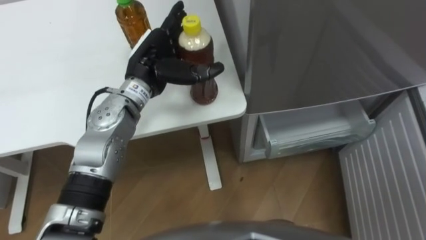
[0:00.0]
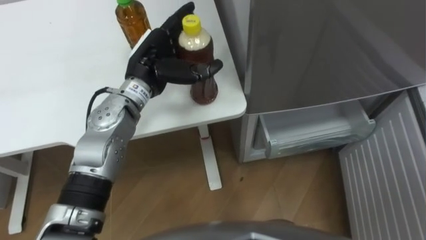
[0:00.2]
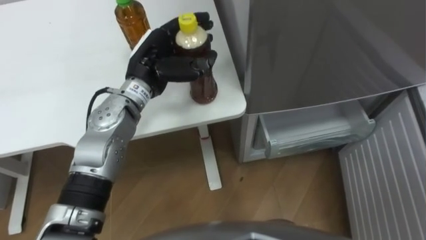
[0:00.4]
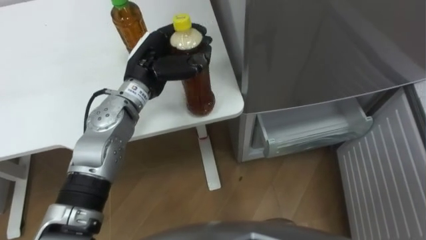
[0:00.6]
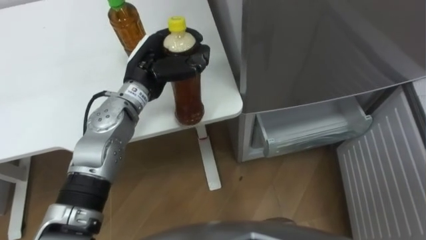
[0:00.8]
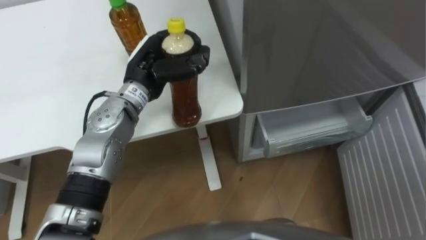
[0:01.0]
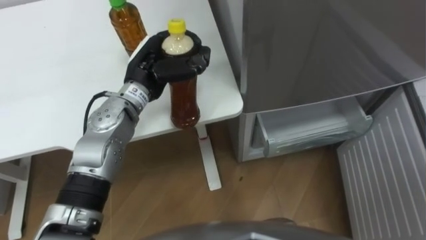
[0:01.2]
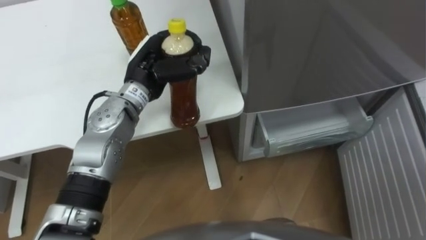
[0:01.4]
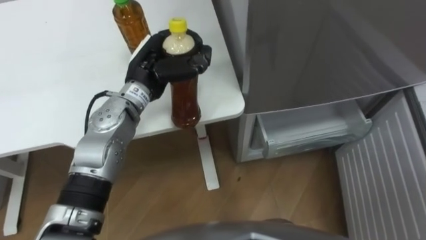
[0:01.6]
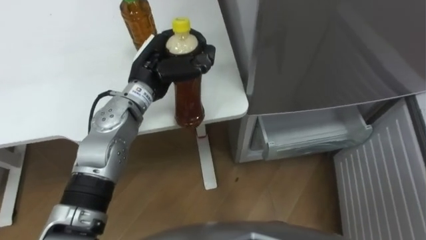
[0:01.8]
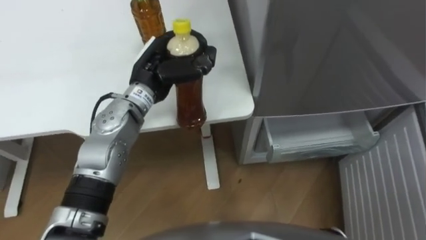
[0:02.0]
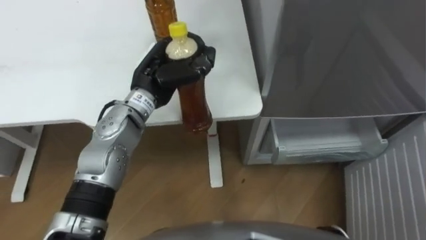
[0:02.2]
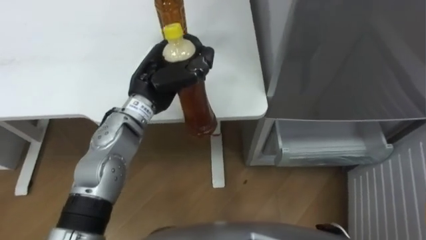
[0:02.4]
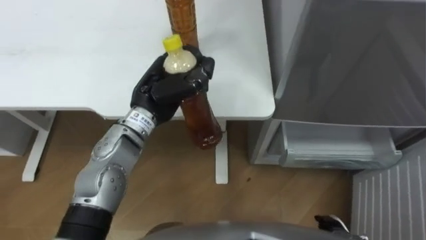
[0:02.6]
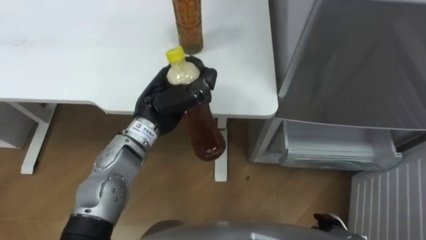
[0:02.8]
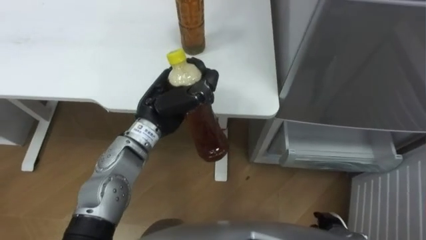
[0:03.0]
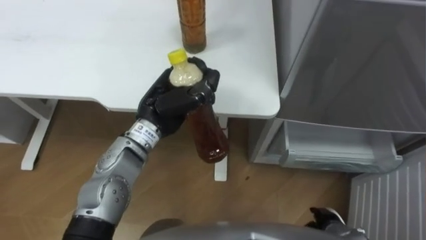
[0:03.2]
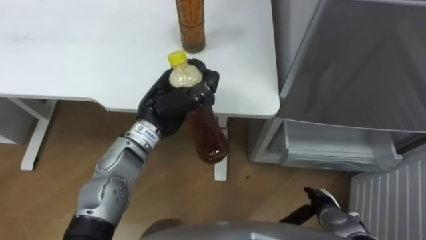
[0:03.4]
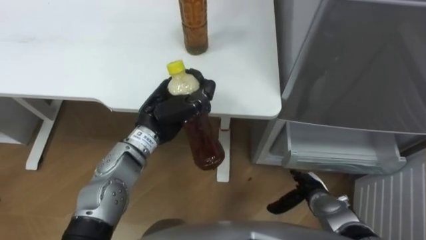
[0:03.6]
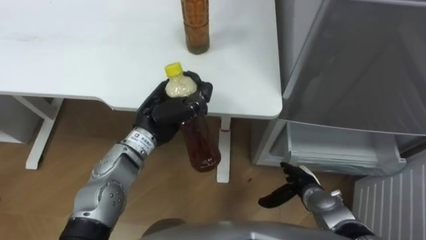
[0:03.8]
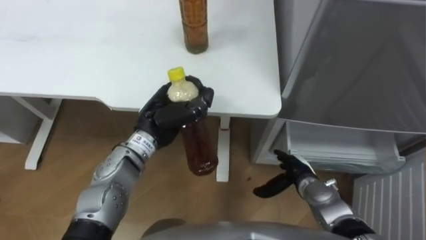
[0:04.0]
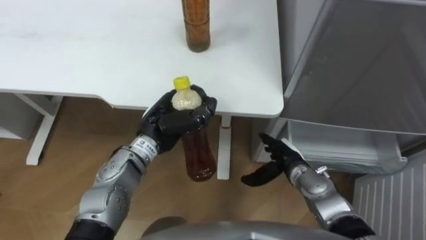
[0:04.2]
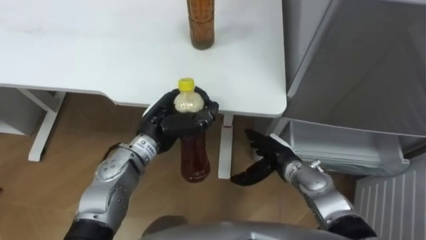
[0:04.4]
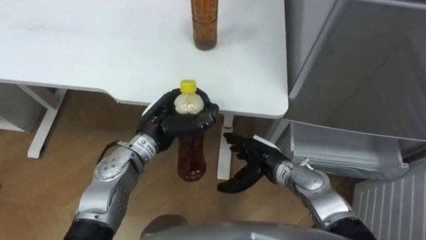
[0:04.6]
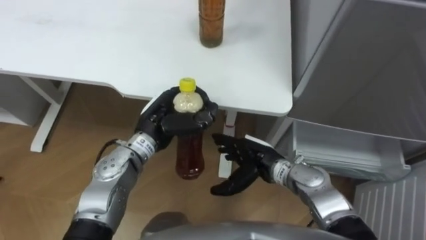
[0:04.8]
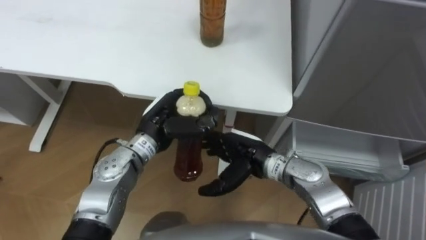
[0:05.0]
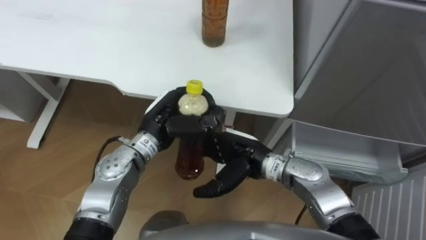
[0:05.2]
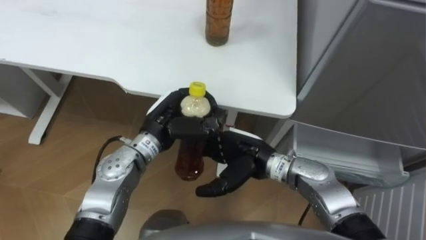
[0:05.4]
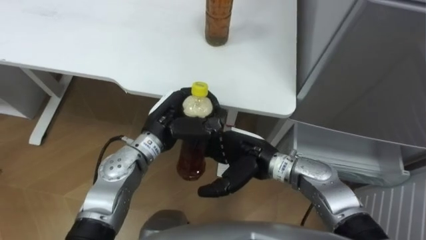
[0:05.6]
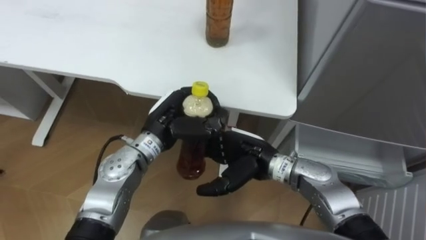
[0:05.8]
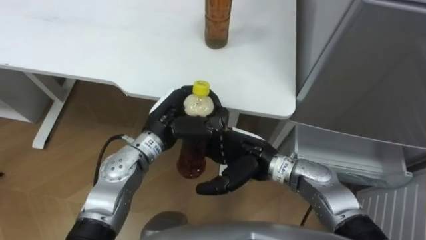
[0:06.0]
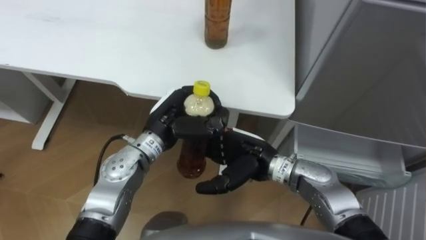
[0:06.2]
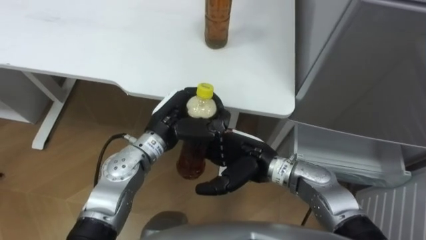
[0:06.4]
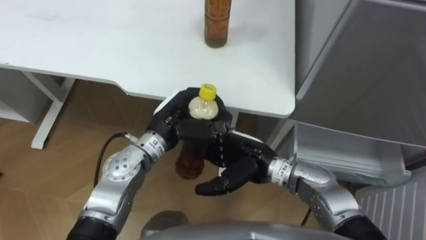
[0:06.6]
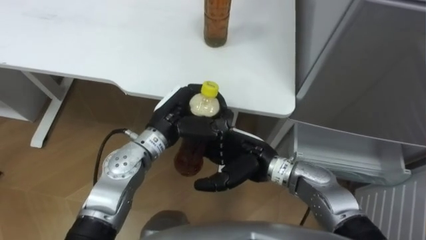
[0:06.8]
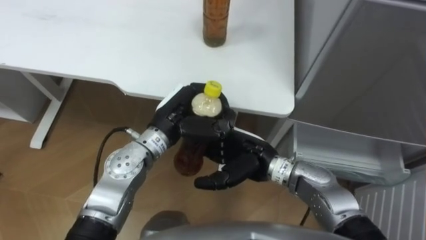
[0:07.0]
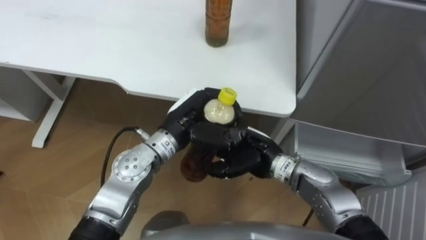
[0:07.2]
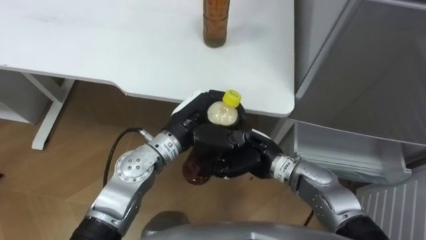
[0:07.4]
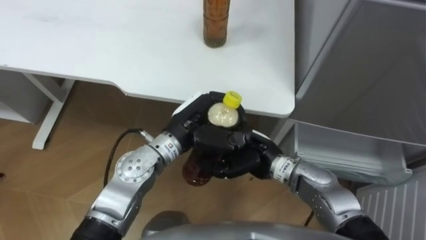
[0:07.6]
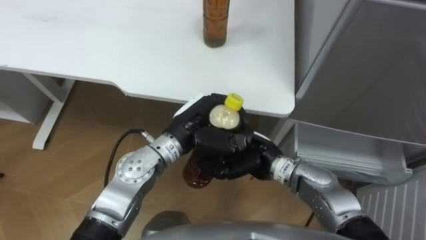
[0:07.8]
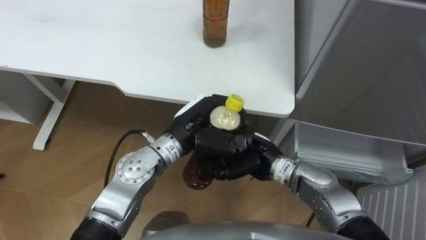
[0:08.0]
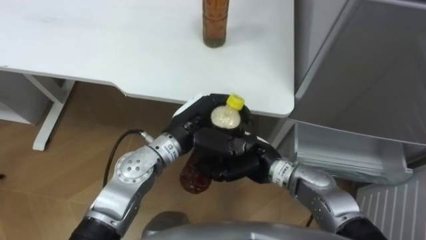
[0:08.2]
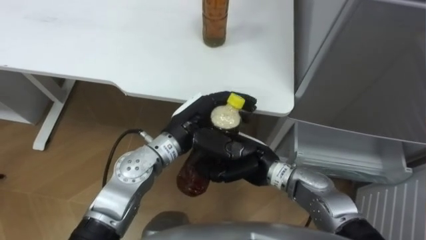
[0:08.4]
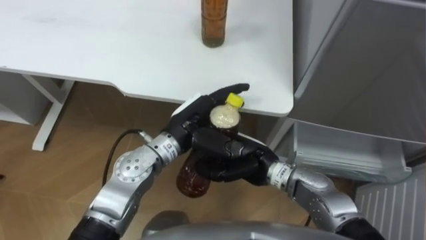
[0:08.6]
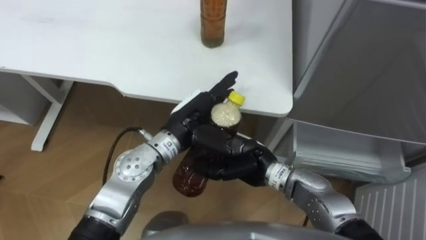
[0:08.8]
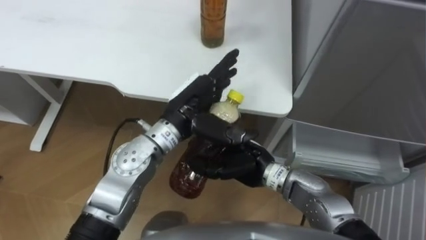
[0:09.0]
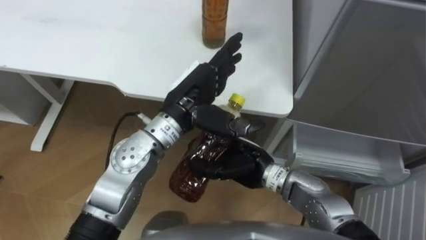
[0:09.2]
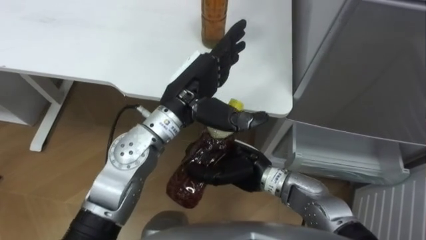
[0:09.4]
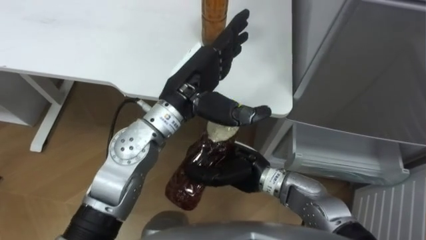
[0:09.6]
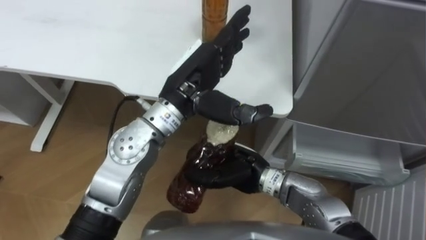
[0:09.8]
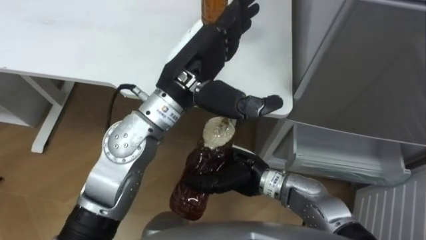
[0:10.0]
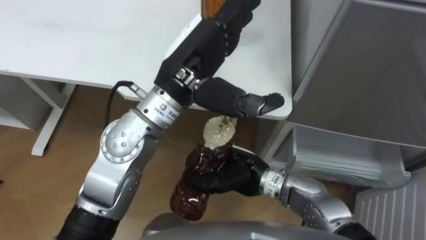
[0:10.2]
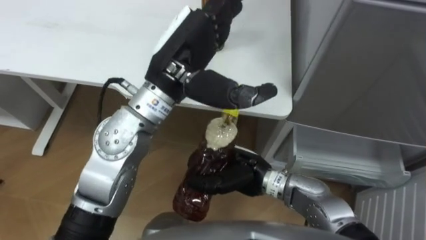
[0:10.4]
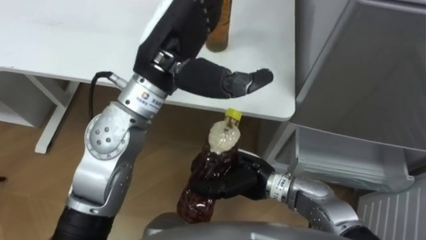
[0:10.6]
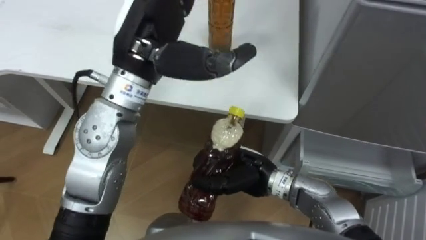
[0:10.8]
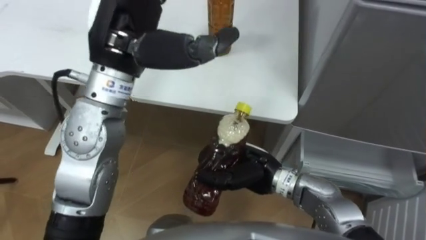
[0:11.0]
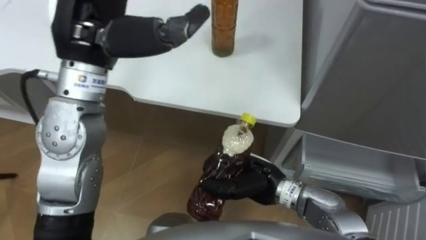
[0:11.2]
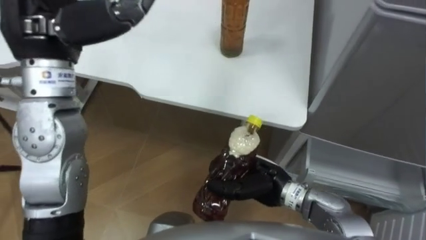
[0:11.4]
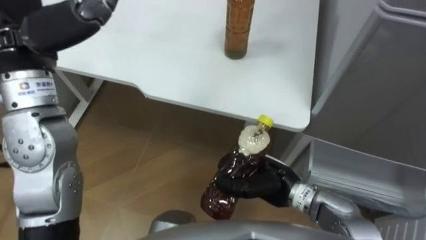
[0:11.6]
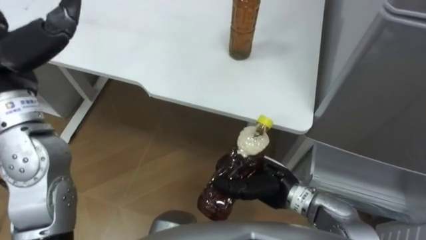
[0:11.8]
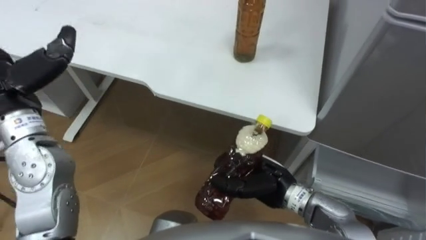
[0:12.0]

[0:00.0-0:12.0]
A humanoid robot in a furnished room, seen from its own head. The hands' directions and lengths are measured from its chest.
Task of the whole recording: Place the drink on the table on the bottom shelf of the refrigerator, then close the drawer and the refrigerator door.
0.0 to 1.6 s: The left hand closes.
1.6 to 3.0 s: The left hand travels backward by approximately 5 cm.
3.0 to 4.4 s: The left hand is displaced downward by approximately 5 cm. Meanwhile the right hand shifts roughly 20 cm forward, to the left and upward.
4.4 to 6.0 s: The right hand shifts about 10 cm to the left and upward.
6.0 to 7.6 s: The right hand closes its fingers.
7.6 to 9.0 s: The left hand opens its fingers.
9.0 to 10.4 s: The left hand heads upward, covering about 10 cm.
10.4 to 12.0 s: The right hand travels to the right by about 5 cm.

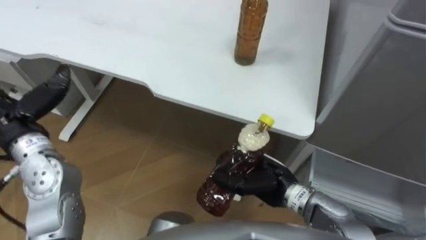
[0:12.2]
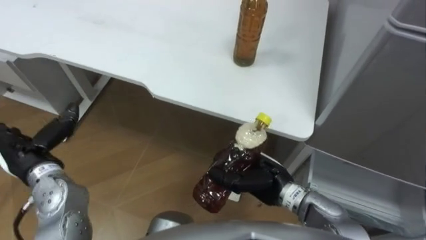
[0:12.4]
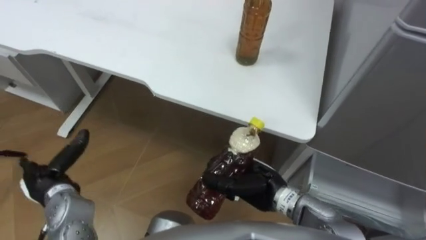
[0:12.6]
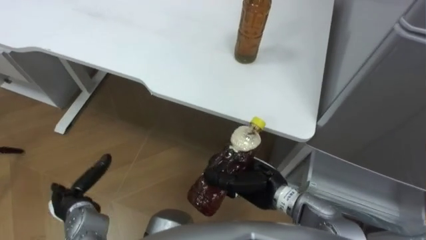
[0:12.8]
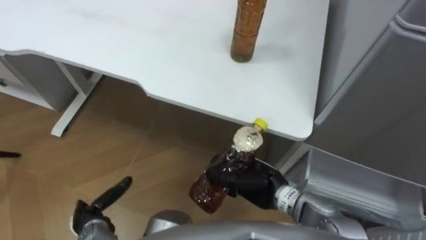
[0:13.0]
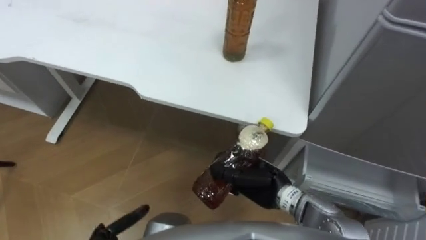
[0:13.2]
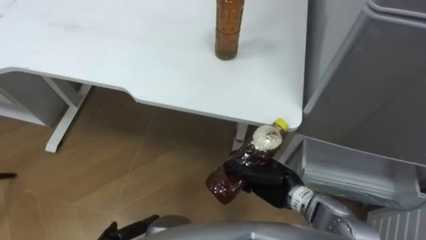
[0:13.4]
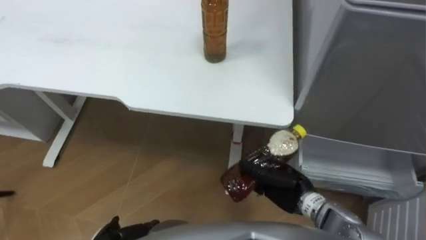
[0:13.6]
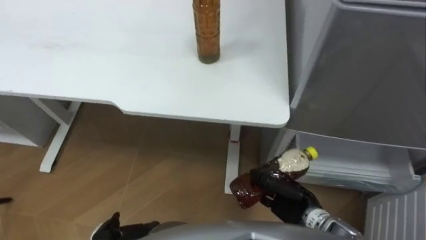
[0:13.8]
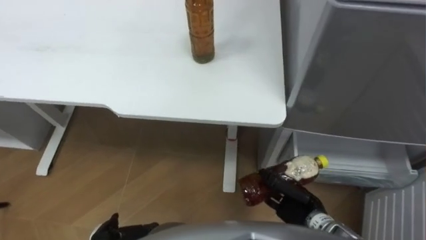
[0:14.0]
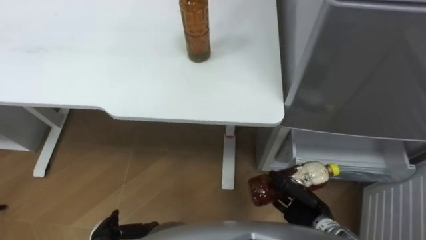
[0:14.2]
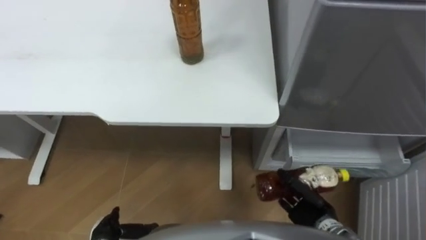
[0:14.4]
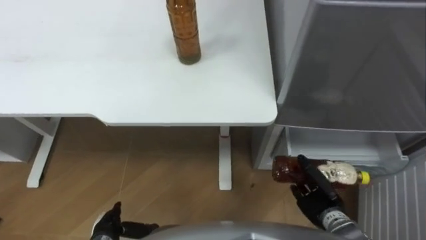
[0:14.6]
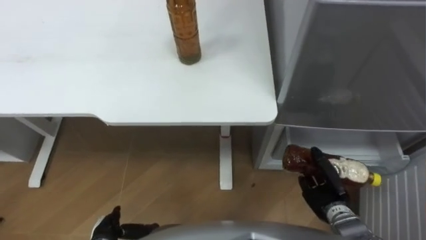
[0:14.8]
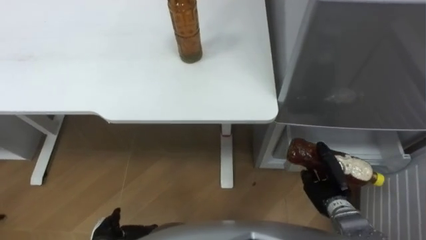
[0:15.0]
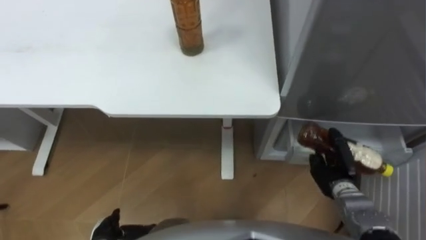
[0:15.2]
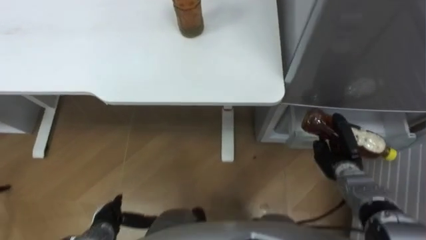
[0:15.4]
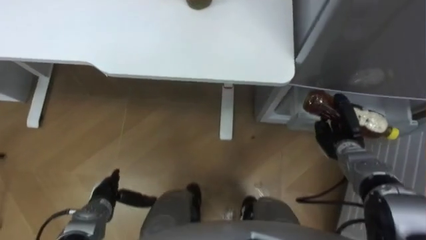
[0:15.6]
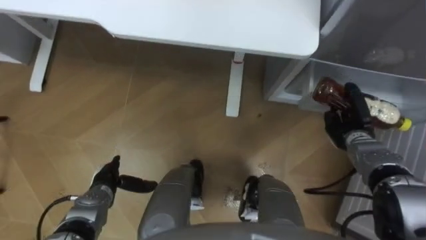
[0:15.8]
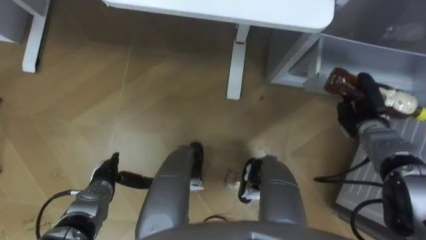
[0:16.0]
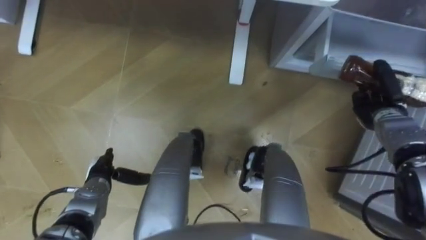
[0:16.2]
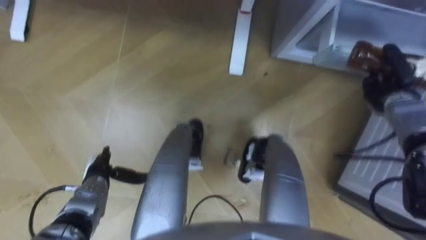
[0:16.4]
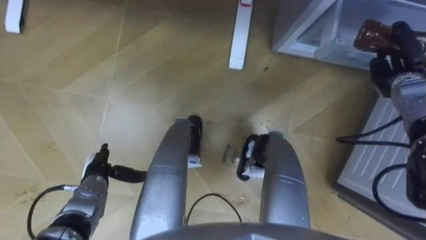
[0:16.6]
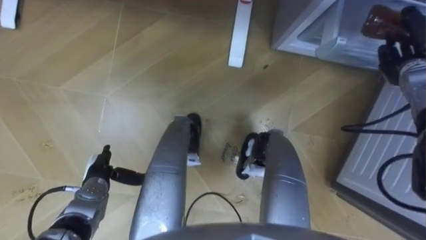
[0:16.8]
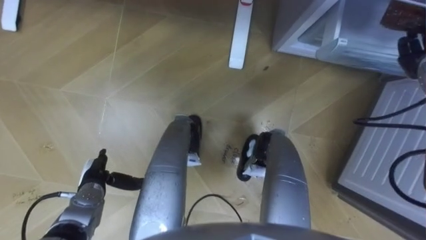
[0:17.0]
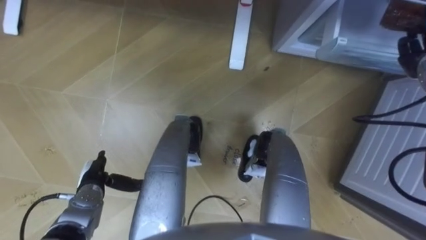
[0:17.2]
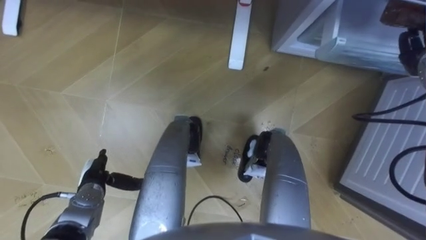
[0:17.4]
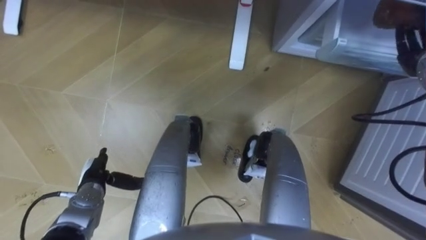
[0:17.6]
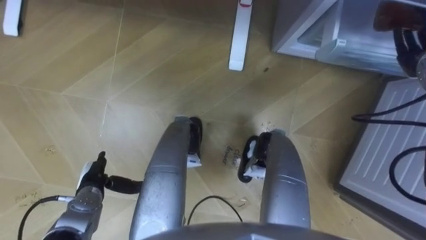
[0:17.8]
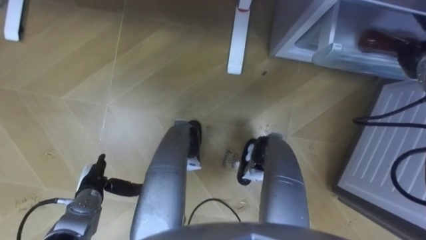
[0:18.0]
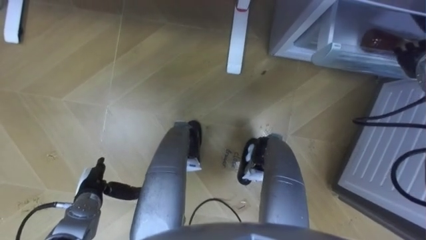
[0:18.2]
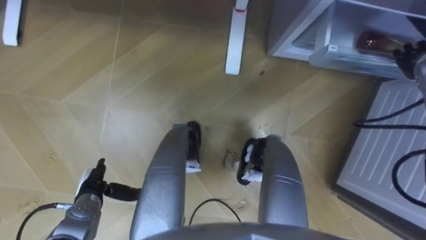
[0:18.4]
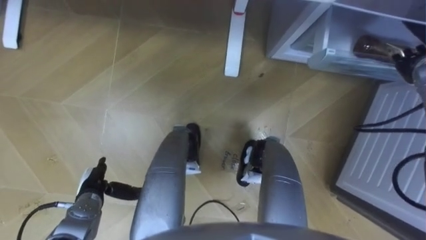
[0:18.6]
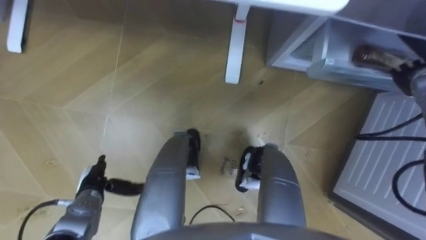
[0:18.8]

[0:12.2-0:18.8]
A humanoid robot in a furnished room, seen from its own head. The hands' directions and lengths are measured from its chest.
Task of the whole recording: Place the drink on the table on the bottom shelf of the refrigerator, then close the drawer and the refrigerator door.
12.2 to 13.8 s: The right hand heads downward and to the right, covering about 10 cm.
13.8 to 15.4 s: The right hand moves to the right and forward, roughly 15 cm.
15.4 to 17.2 s: The right hand goes roughly 25 cm upward, forward and to the right. Meanwhile the left hand shifts roughly 10 cm forward.
17.2 to 18.8 s: The right hand opens its fingers.
